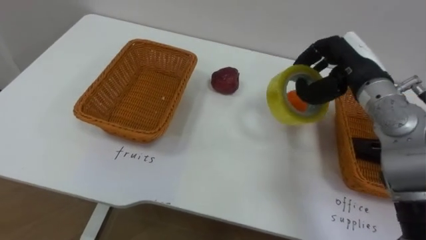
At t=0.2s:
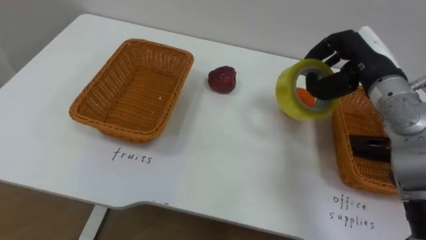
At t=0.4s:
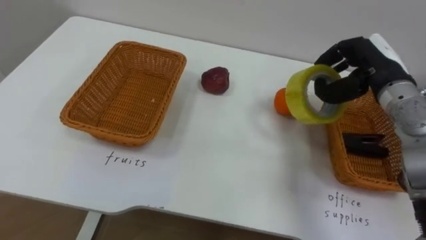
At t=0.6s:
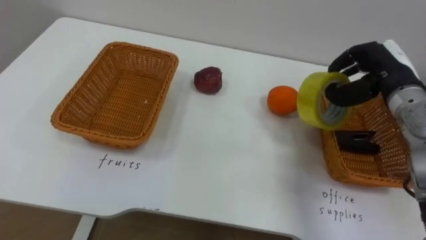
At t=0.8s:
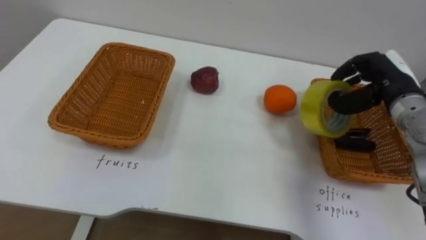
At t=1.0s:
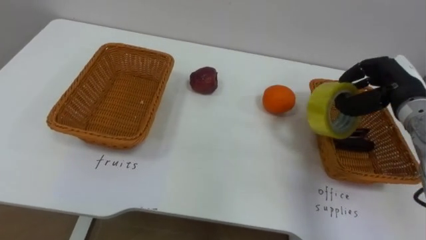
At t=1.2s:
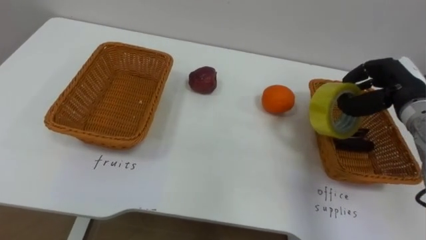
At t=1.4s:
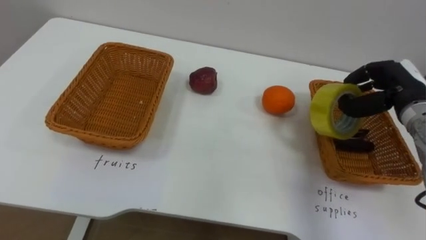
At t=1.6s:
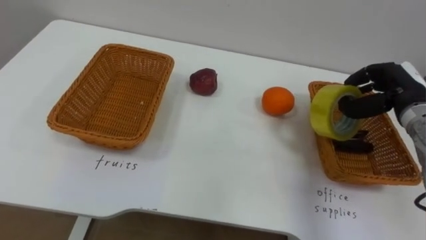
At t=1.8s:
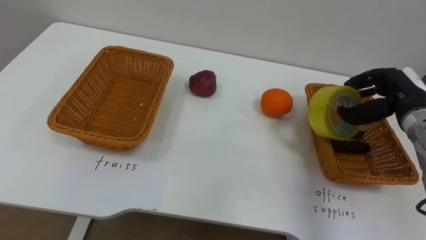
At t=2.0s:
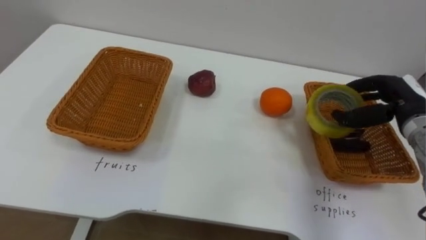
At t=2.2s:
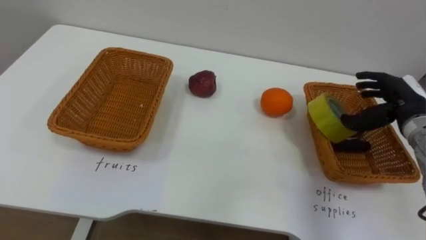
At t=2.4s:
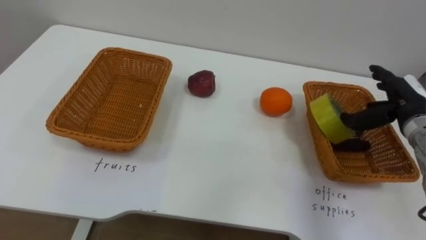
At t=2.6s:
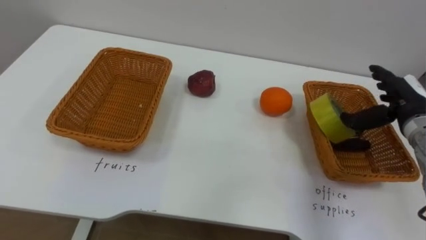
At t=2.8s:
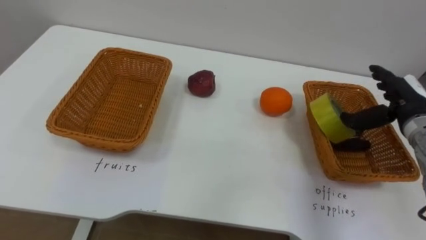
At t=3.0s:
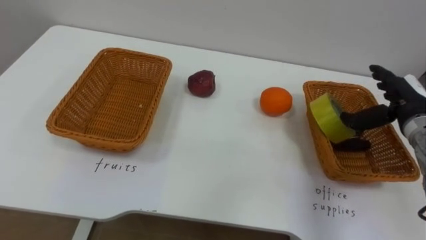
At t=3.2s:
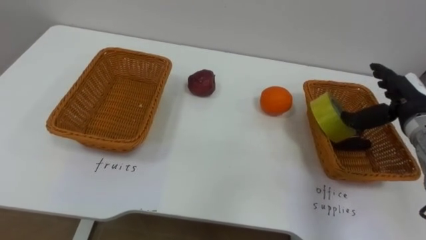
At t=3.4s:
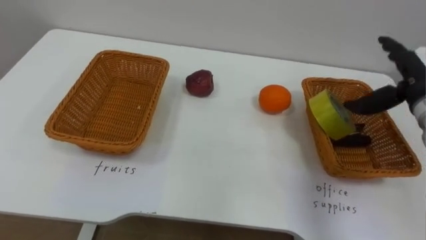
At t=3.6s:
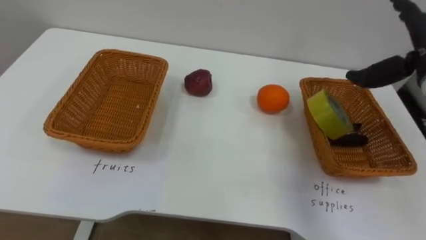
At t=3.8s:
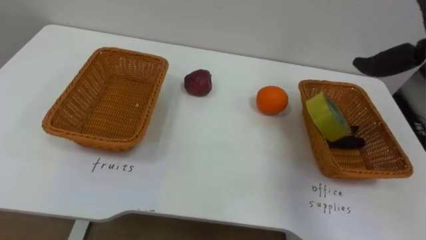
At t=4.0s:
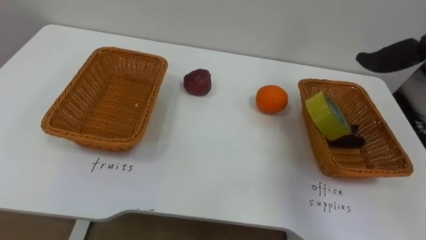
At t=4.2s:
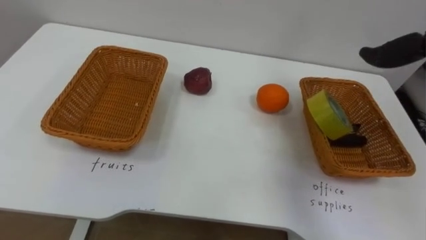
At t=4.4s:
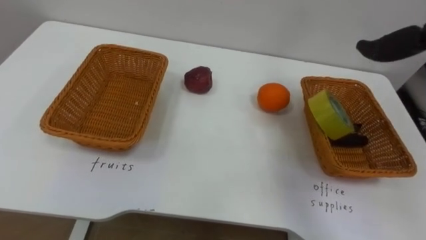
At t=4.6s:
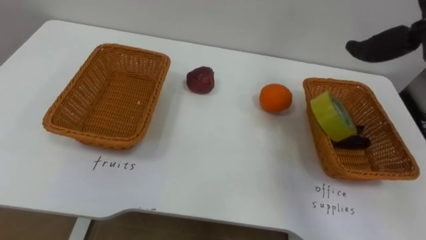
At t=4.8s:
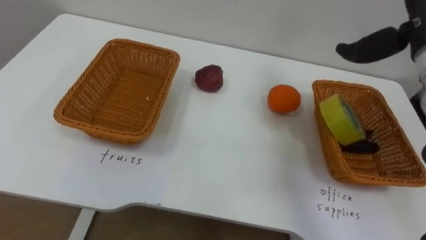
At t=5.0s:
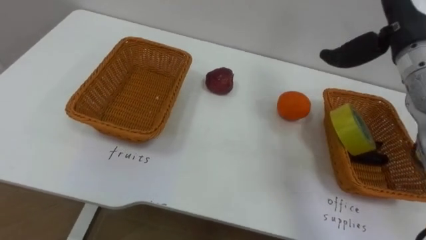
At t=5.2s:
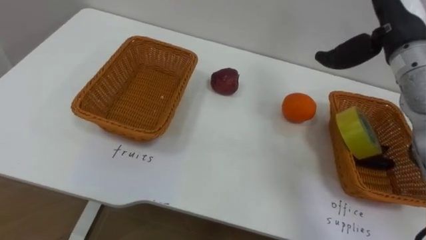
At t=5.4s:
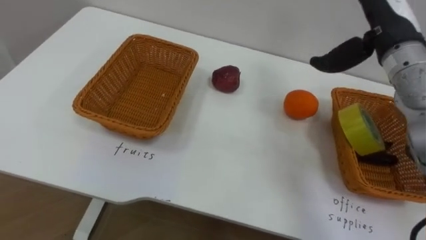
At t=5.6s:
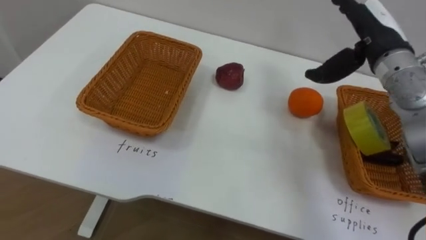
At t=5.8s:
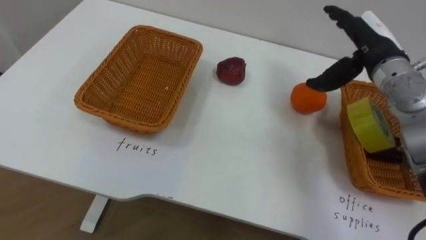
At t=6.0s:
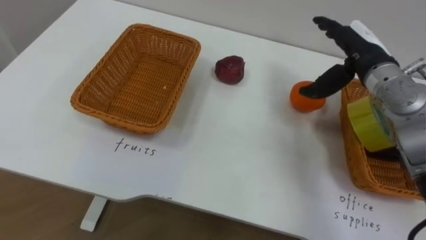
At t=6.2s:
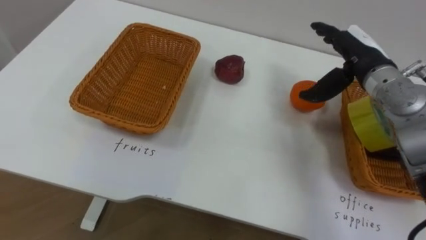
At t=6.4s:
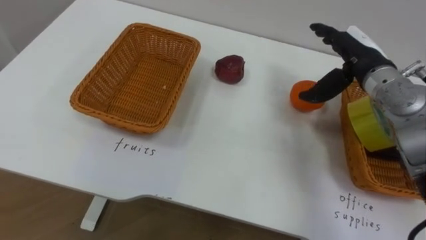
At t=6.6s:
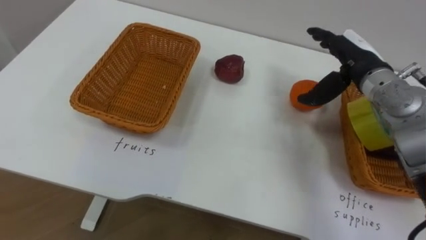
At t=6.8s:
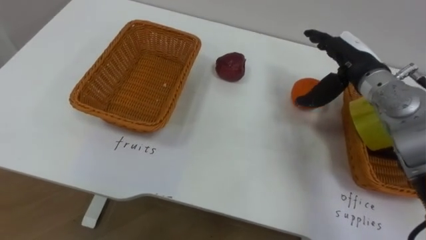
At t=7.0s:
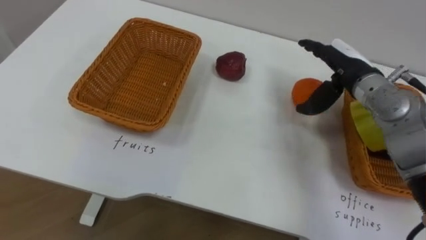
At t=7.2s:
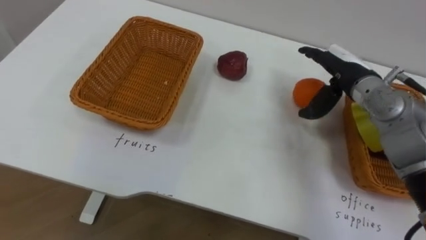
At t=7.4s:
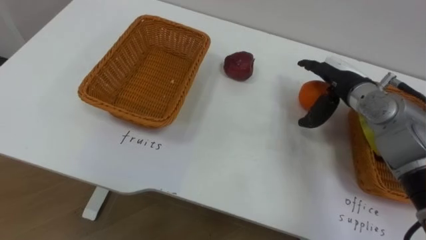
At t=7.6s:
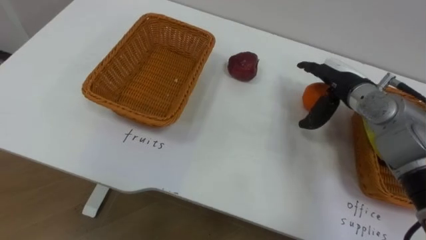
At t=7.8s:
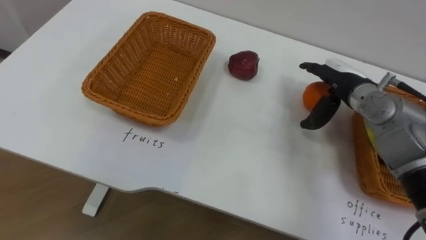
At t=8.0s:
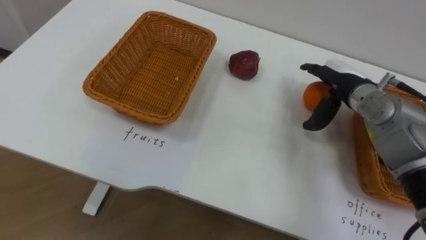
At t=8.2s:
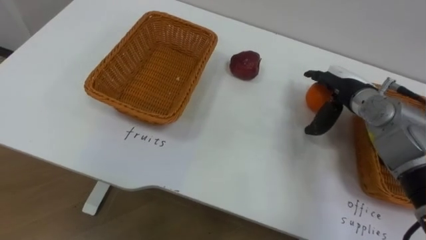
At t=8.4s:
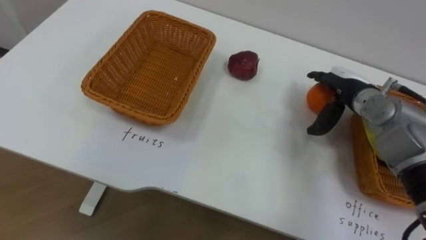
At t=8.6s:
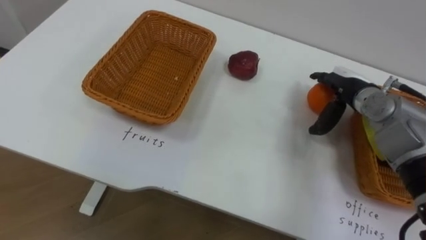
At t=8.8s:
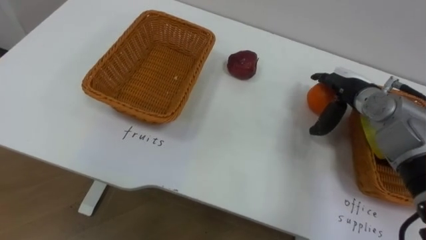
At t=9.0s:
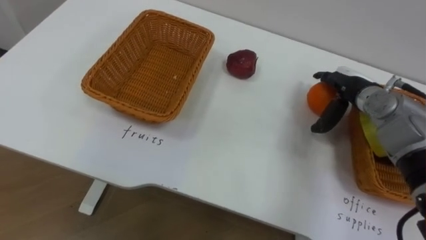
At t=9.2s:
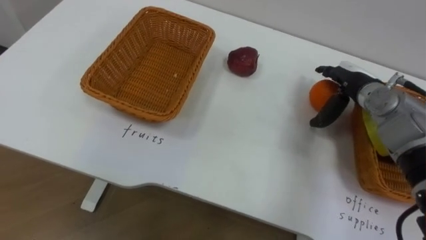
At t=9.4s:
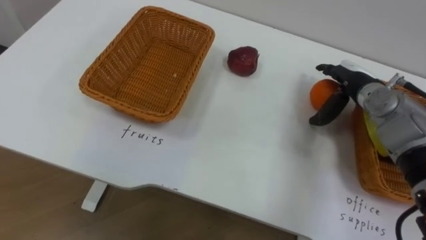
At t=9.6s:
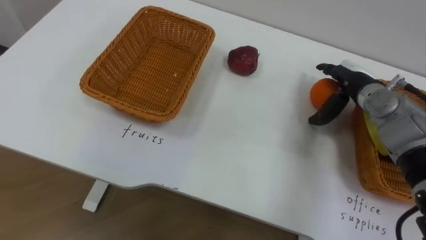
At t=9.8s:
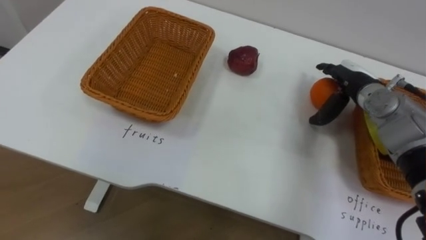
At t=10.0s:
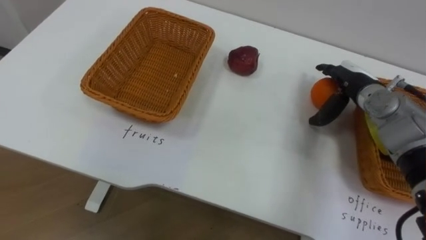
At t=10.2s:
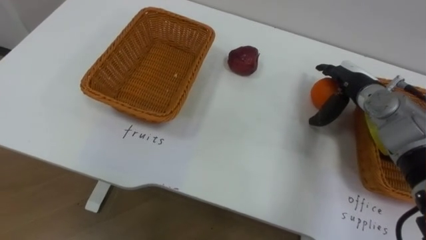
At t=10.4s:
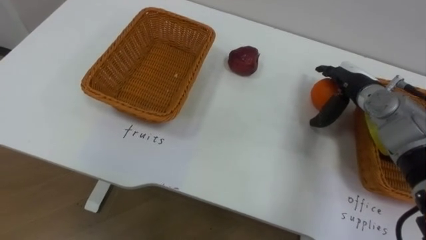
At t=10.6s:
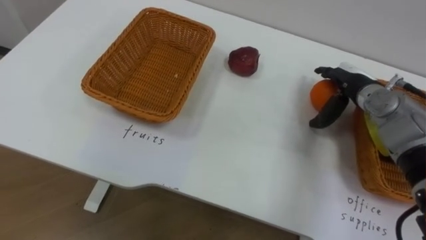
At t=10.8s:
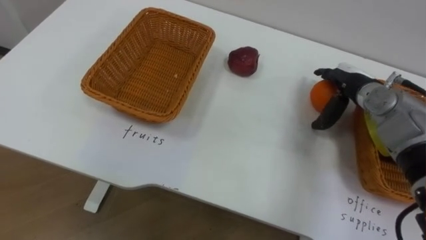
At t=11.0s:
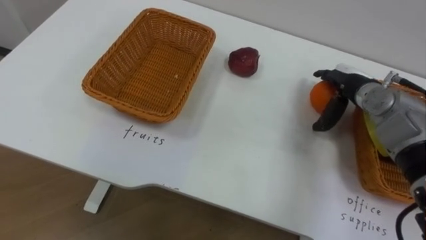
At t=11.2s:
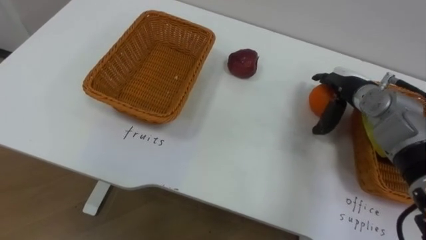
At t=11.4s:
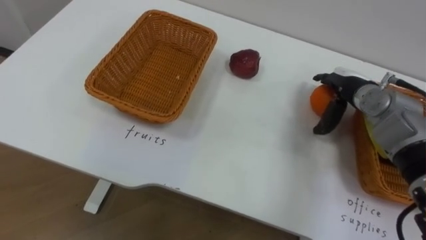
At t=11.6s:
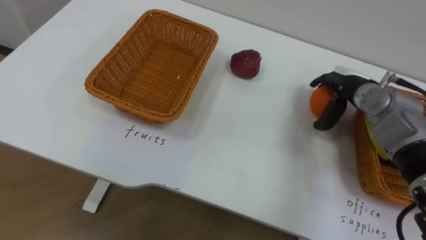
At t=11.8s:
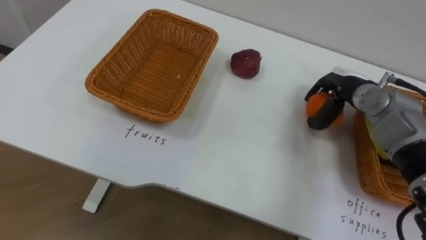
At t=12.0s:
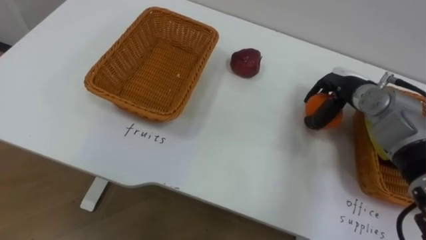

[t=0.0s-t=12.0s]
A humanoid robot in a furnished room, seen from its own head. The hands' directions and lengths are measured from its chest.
Task of the whole recording: Separate the items on the table and place them into the two baskets.
t=0.0s to t=1.6s: The right hand is displaced to the right and downward by approximately 10 cm.
t=1.6s to t=3.0s: The right hand opens its fingers.
t=6.0s to t=7.6s: The right hand shifts about 5 cm downward.
t=10.4s to t=12.0s: The right hand closes its fingers.

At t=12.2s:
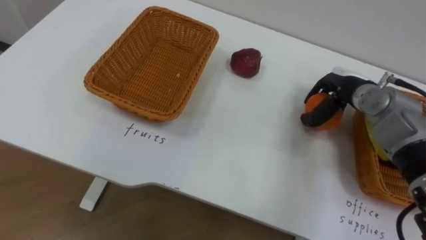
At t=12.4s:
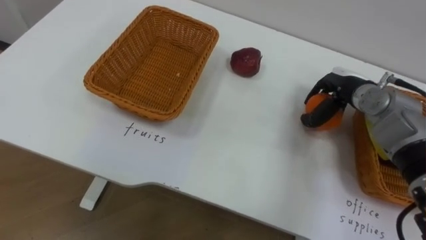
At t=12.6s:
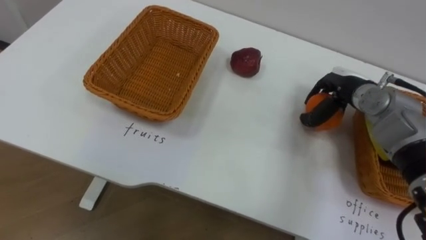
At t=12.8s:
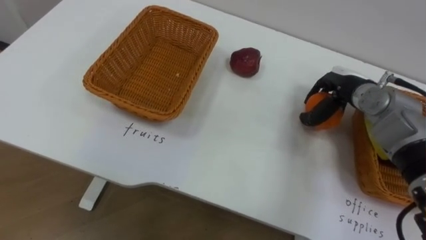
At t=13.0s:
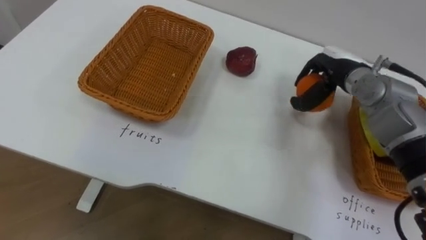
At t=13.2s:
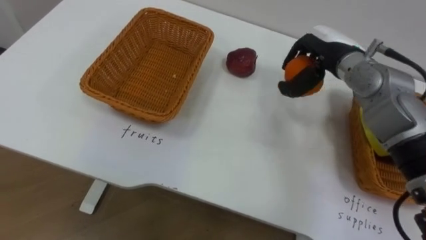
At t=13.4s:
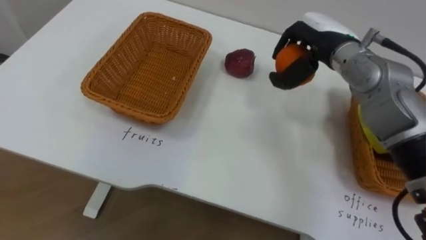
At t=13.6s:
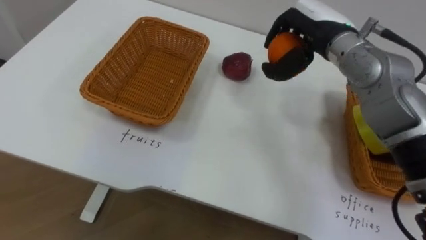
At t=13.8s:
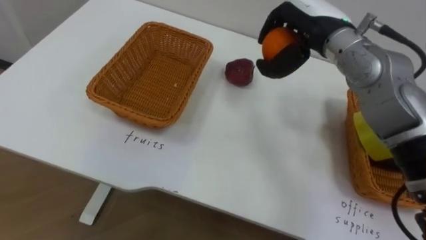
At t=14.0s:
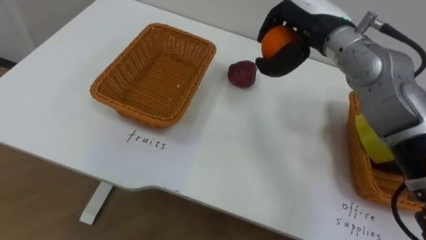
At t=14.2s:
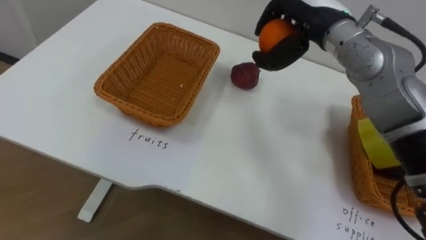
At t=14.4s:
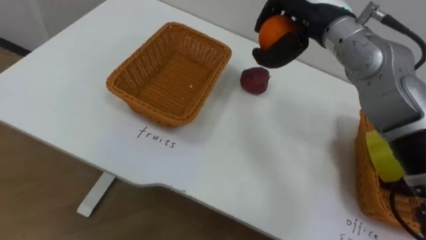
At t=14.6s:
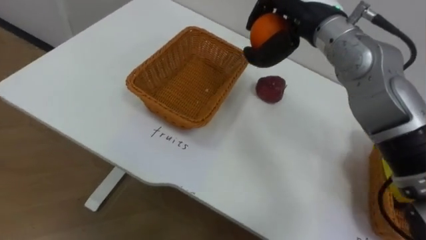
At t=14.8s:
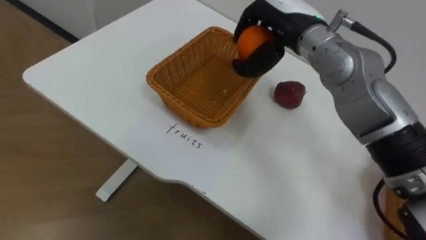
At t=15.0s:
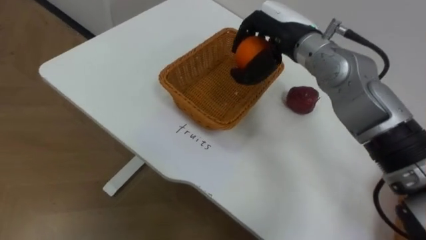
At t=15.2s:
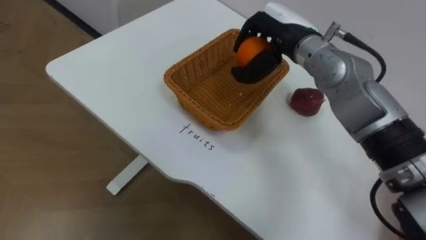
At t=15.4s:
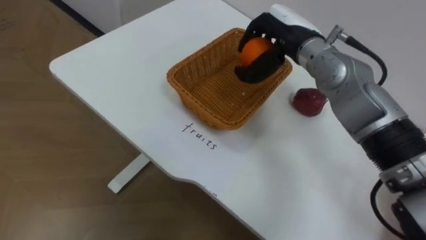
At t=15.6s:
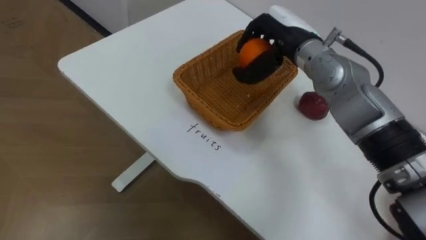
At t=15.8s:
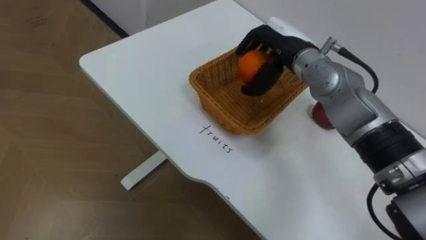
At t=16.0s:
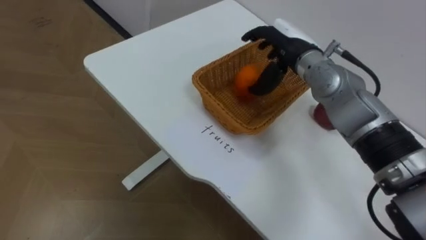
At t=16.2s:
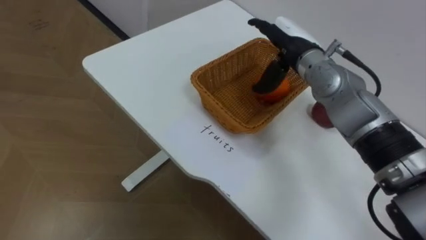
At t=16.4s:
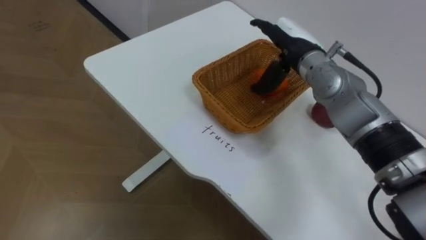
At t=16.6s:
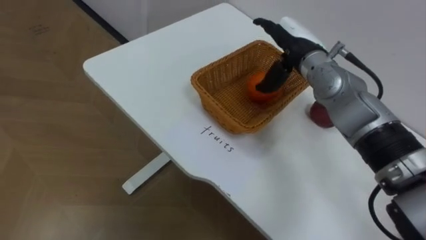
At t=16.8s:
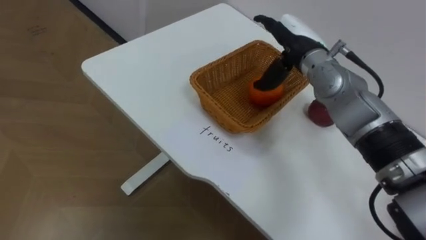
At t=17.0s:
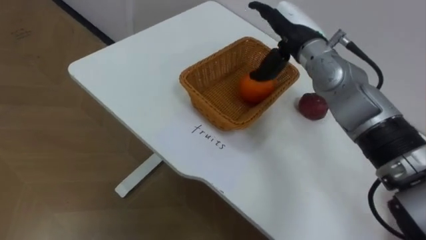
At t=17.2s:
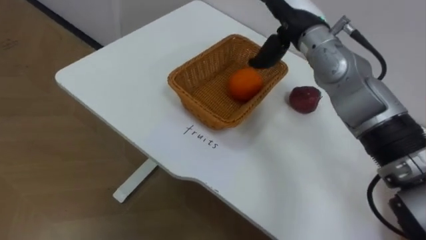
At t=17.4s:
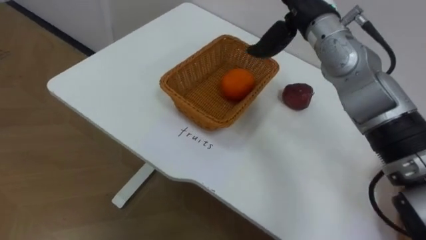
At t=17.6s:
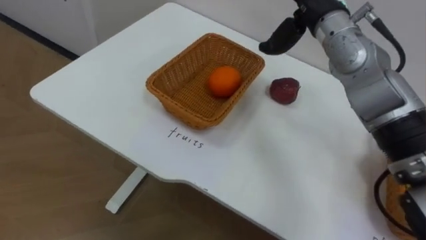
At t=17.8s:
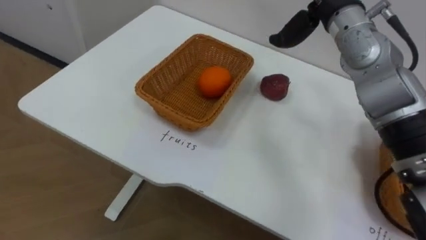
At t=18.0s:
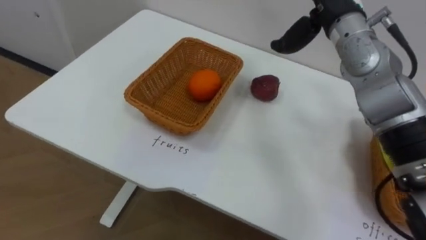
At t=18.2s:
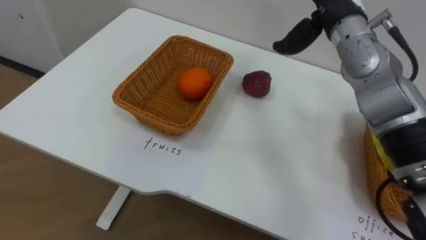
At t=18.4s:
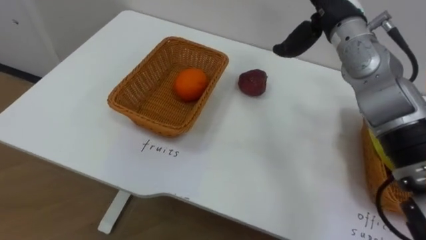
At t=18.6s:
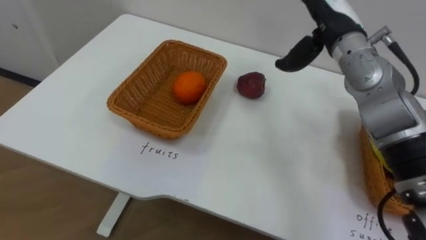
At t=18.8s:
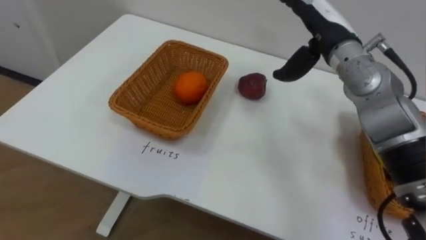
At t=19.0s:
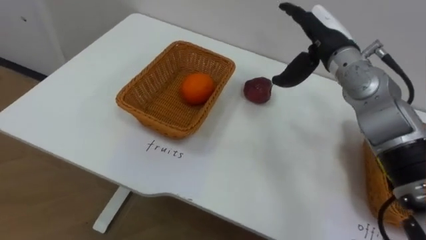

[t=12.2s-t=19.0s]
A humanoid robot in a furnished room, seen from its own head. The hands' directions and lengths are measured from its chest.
Task of the whole recording: Separate the items on the table and place them into the two baskets.
t=12.2s to t=13.6s: The right hand travels upward and to the left by about 15 cm.
t=13.6s to t=15.0s: The right hand is displaced to the left by some 5 cm.
t=15.0s to t=16.2s: The right hand moves about 5 cm, and opens up.